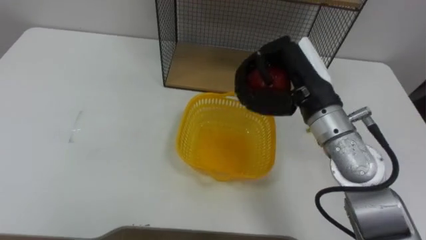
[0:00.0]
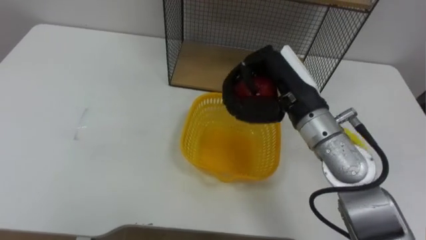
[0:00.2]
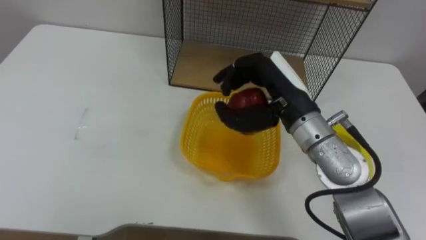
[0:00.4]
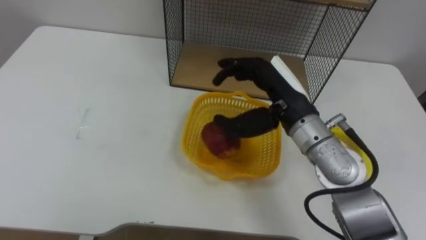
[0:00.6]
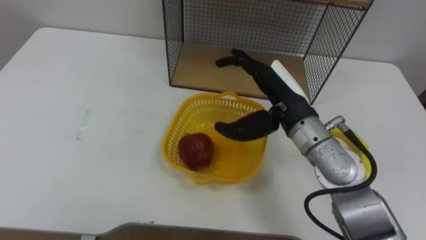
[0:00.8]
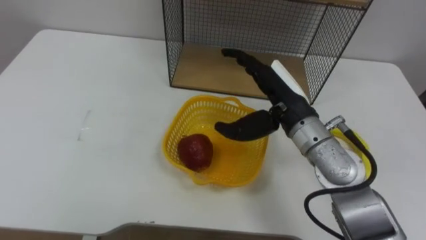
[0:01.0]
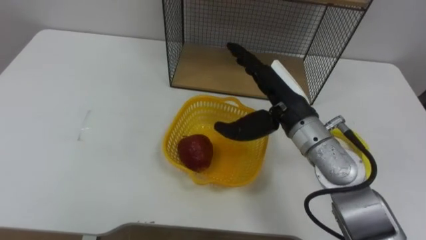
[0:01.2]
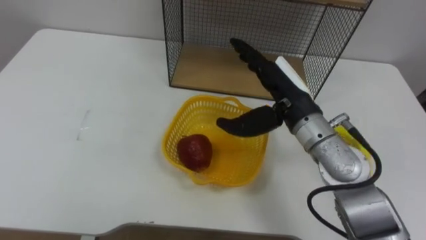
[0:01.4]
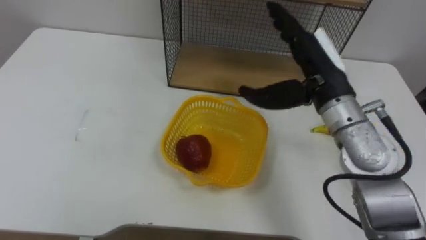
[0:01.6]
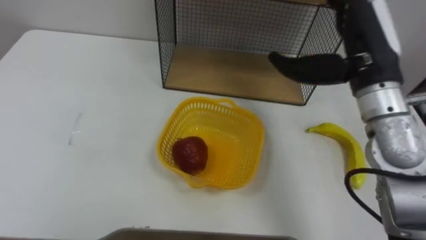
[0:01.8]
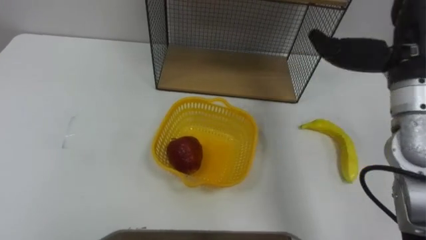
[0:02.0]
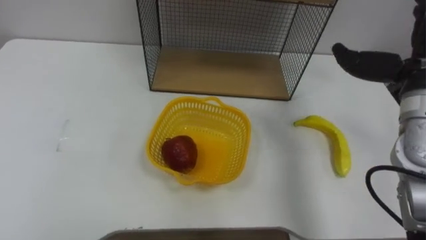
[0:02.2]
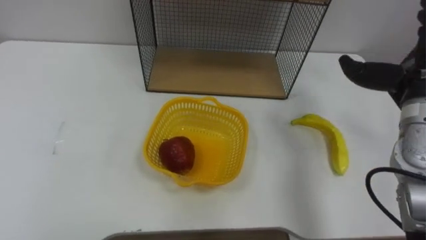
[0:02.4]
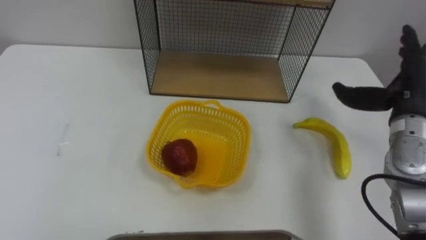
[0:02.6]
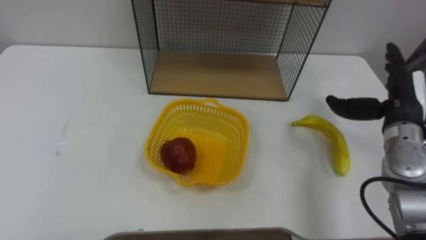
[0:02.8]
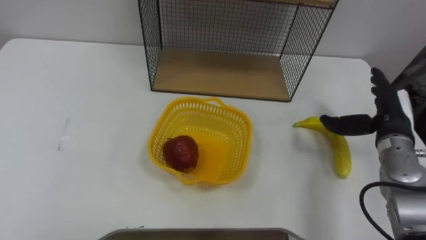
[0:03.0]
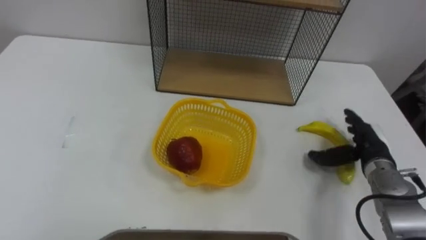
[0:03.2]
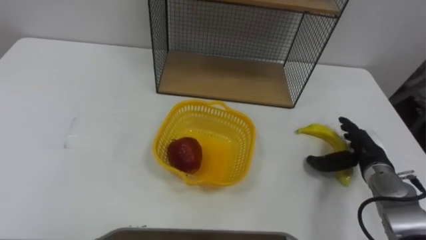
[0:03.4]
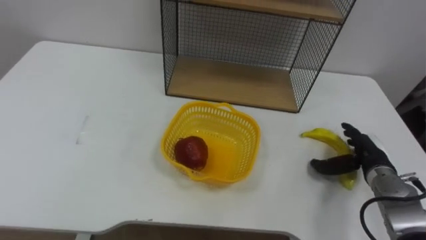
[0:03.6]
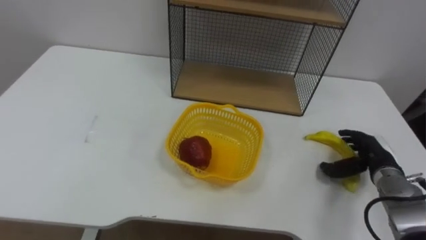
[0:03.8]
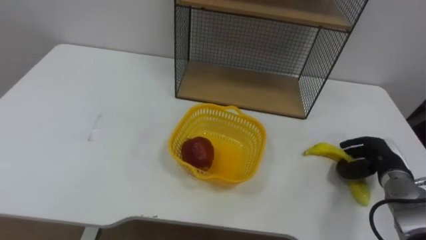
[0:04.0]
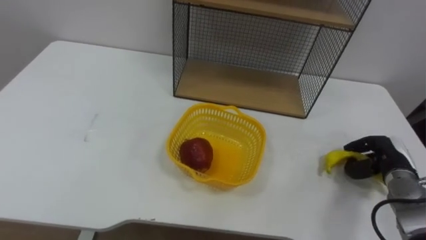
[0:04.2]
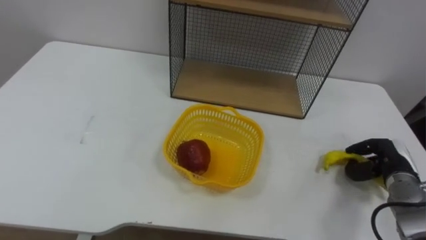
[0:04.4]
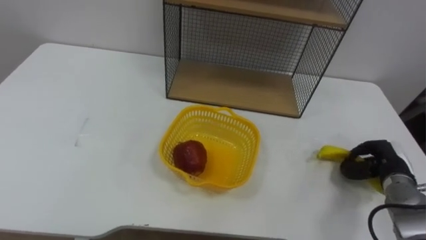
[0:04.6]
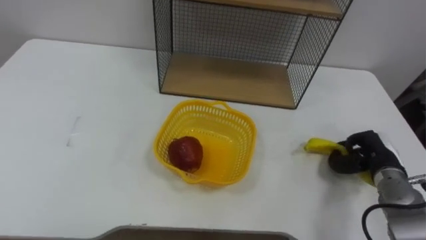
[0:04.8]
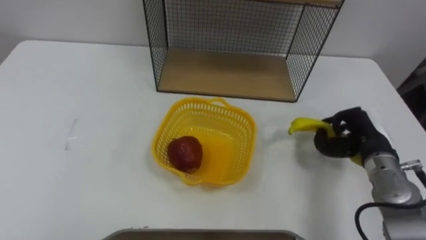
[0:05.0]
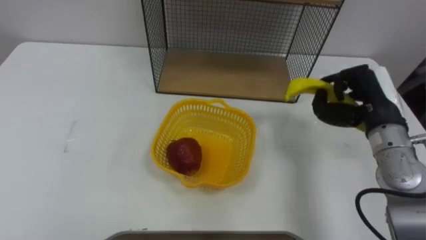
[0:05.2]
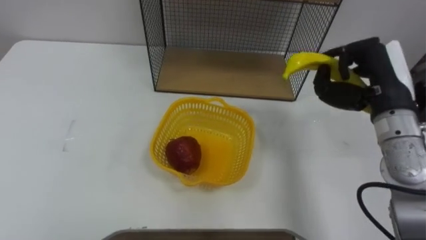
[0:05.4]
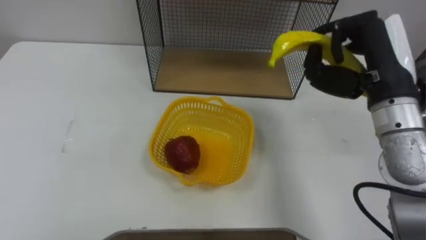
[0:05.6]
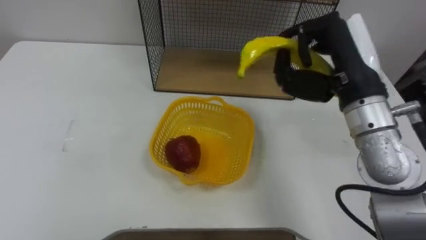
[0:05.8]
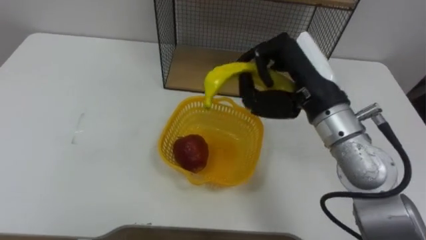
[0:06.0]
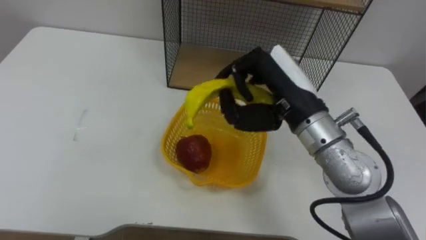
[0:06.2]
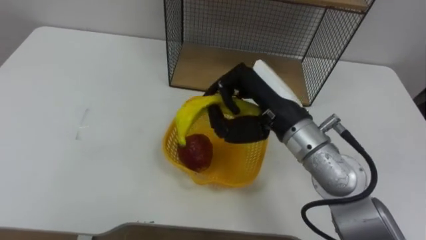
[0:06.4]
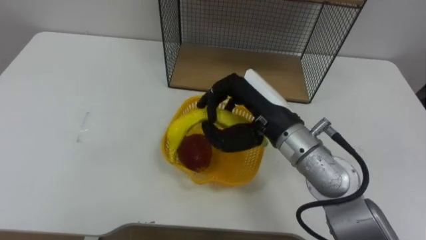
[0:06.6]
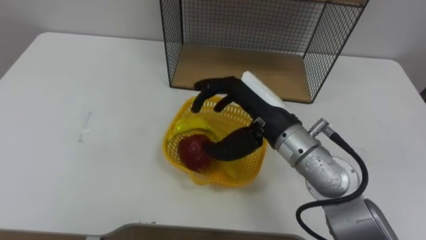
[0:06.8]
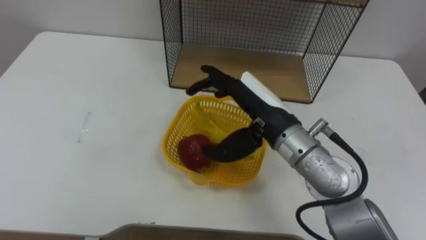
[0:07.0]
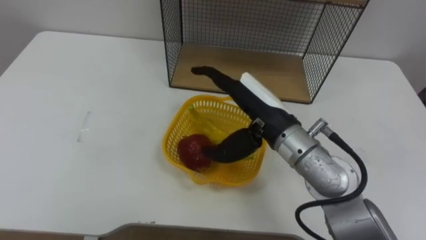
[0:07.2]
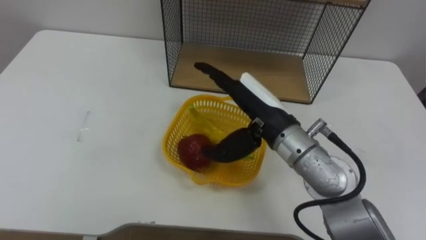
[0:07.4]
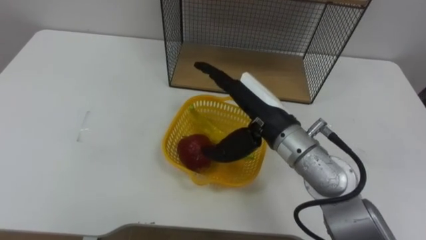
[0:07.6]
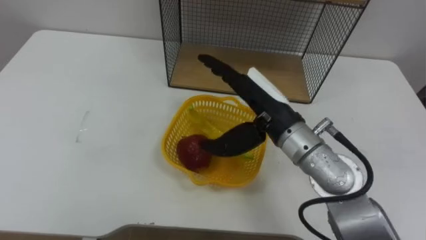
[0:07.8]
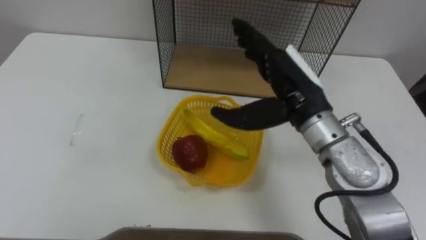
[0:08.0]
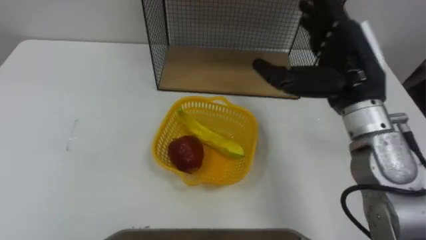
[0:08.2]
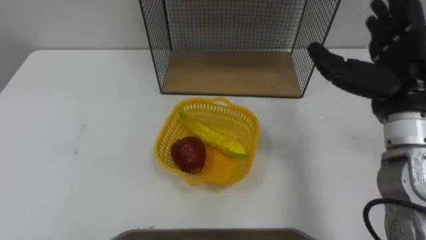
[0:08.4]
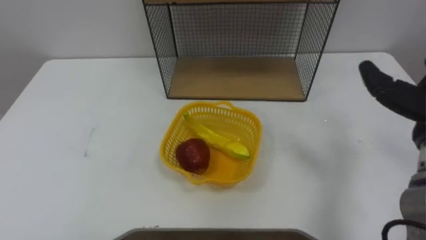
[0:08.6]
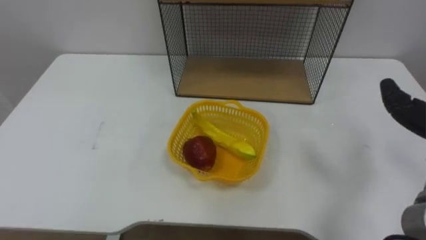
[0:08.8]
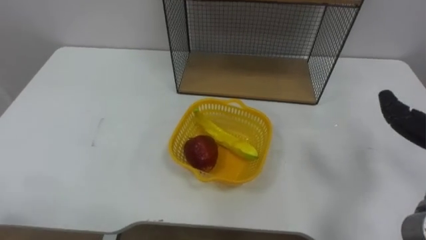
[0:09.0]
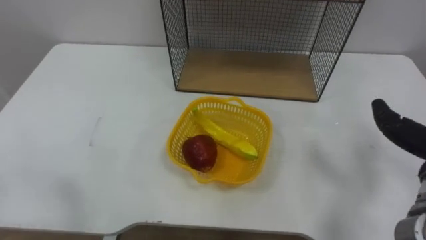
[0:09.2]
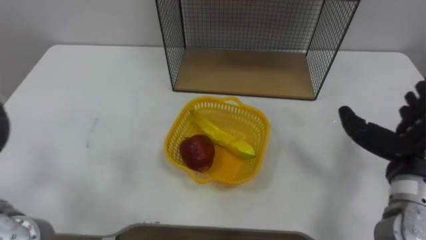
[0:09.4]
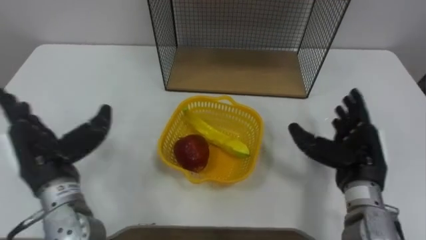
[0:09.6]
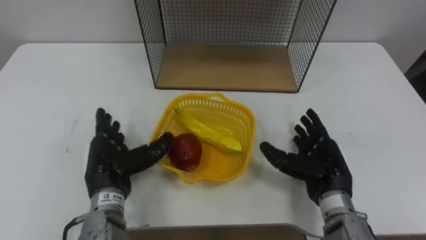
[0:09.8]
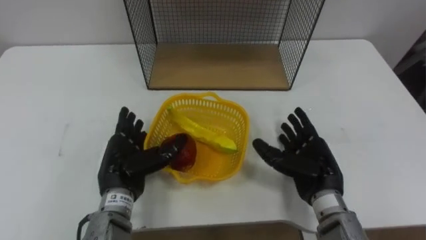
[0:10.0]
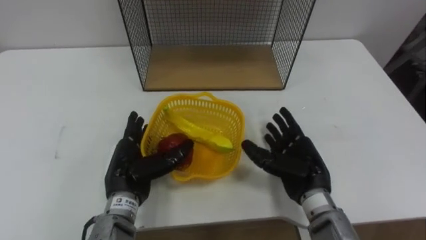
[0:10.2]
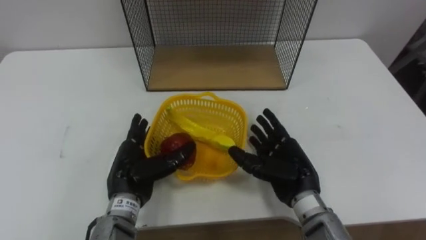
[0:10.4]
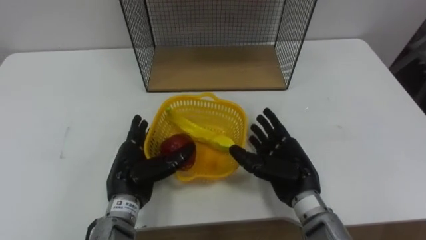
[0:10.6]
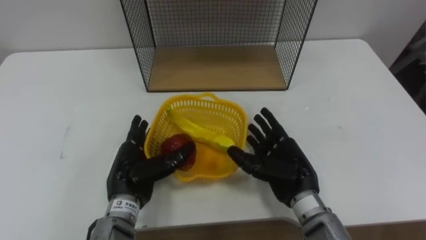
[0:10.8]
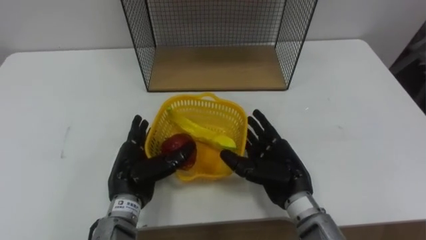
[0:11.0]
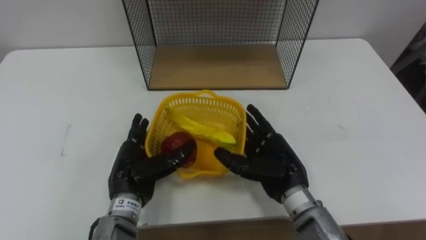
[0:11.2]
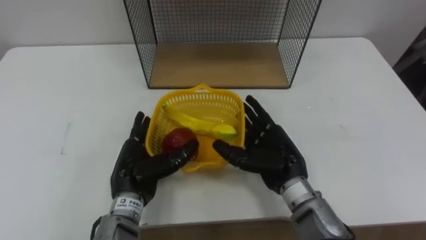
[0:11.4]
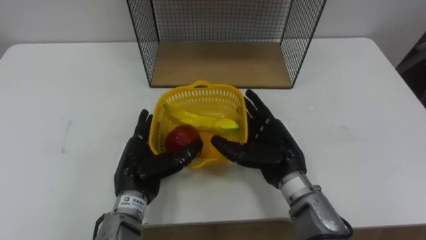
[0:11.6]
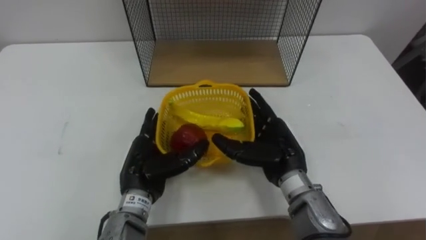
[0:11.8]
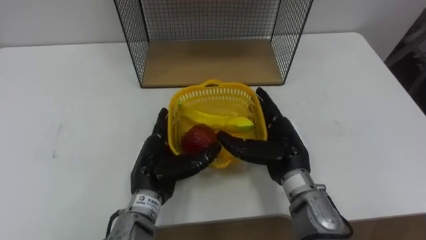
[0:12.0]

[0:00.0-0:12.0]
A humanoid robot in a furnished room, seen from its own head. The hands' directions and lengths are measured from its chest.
Task of the whole recording: Put the fruit on the table into the basket, then place the basket on the shelf.
0:00.0 to 0:01.6: The right hand opens up.
0:03.0 to 0:04.4: The right hand is displaced downward by roughly 10 cm, and closes.
0:04.4 to 0:06.0: The right hand goes some 30 cm upward and to the left.
0:06.0 to 0:07.6: The right hand is displaced to the left by about 5 cm, and opens.

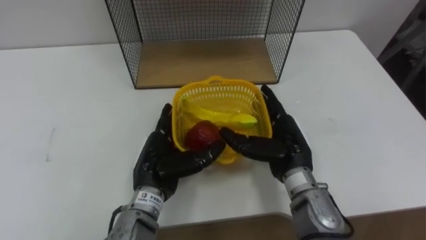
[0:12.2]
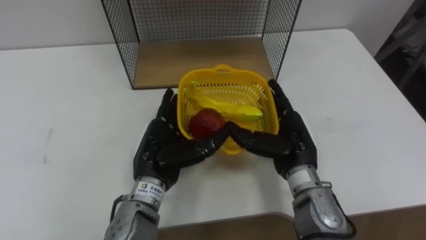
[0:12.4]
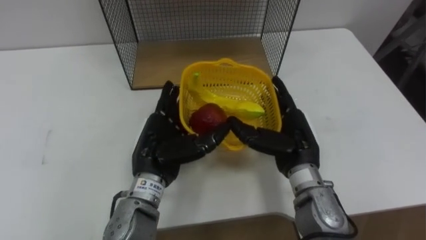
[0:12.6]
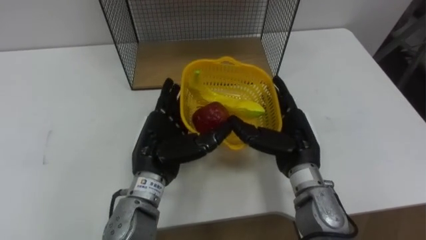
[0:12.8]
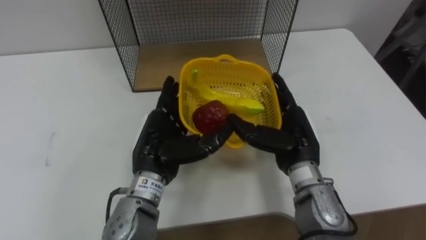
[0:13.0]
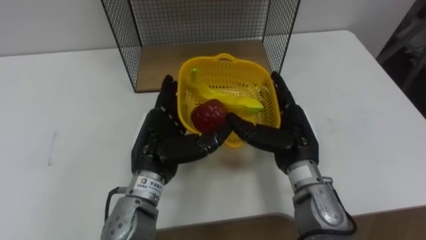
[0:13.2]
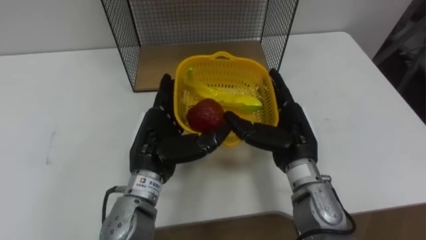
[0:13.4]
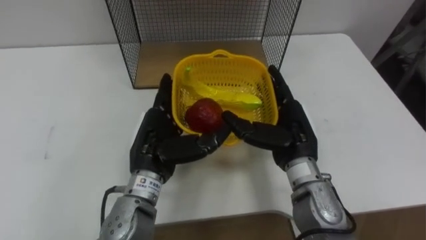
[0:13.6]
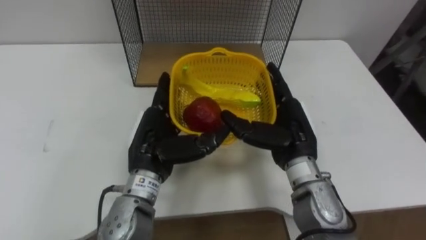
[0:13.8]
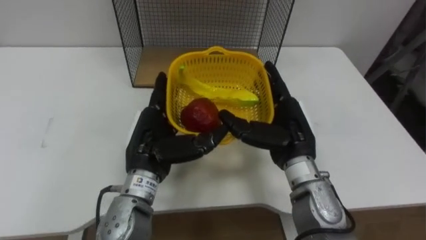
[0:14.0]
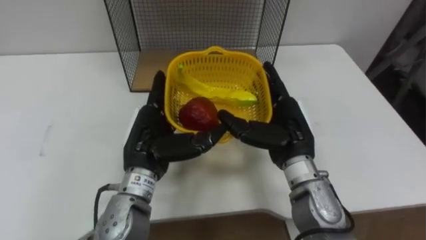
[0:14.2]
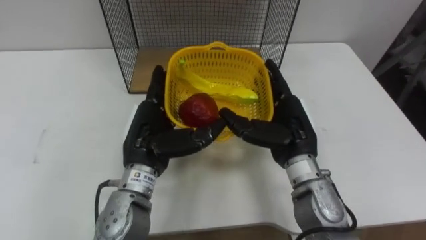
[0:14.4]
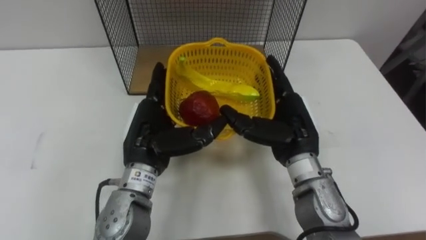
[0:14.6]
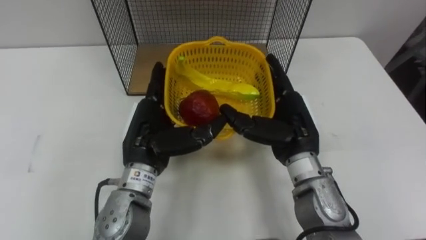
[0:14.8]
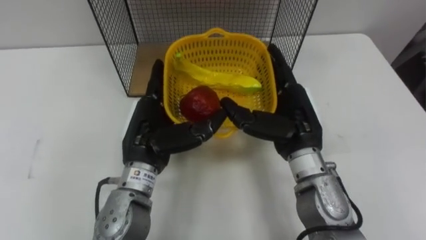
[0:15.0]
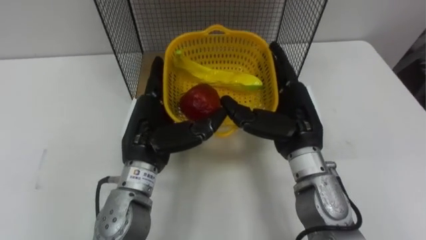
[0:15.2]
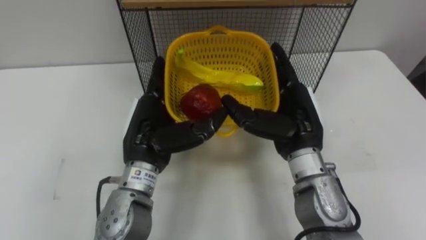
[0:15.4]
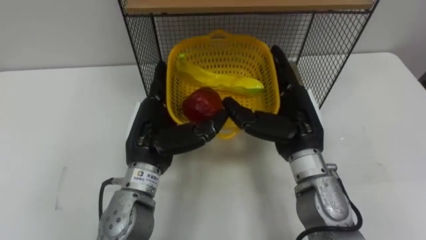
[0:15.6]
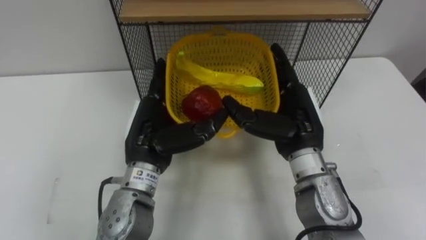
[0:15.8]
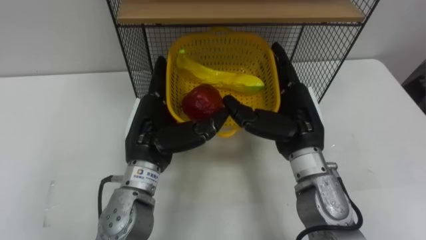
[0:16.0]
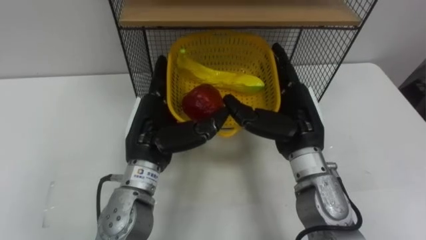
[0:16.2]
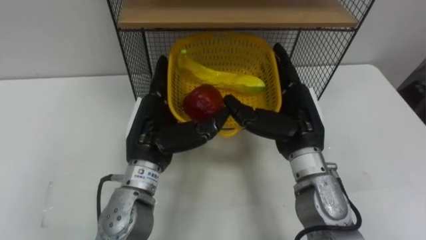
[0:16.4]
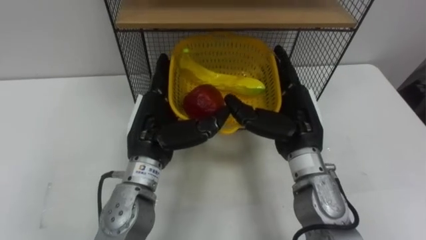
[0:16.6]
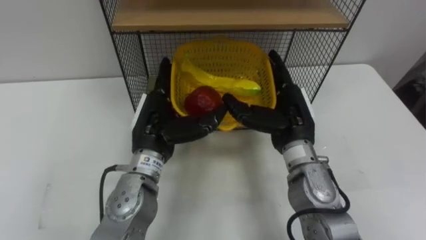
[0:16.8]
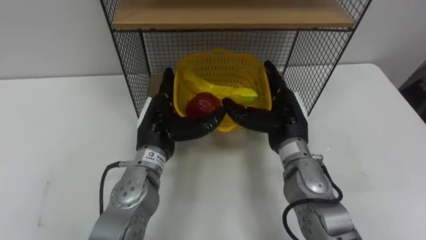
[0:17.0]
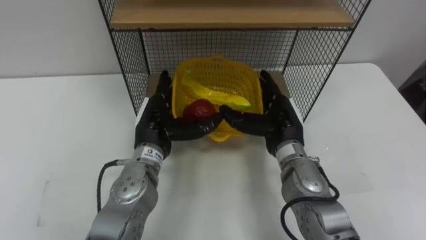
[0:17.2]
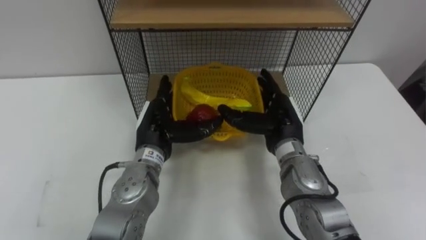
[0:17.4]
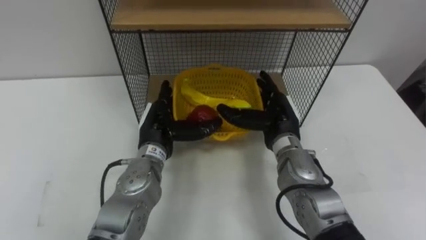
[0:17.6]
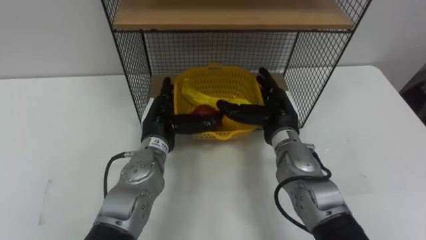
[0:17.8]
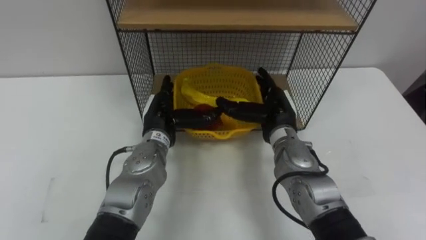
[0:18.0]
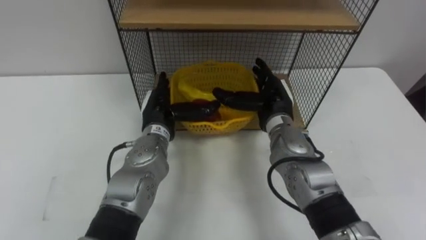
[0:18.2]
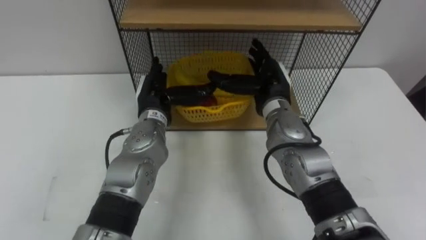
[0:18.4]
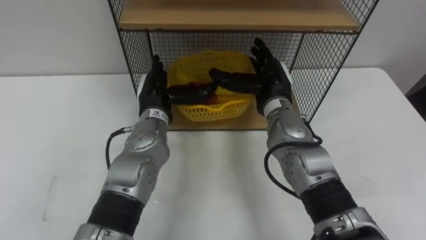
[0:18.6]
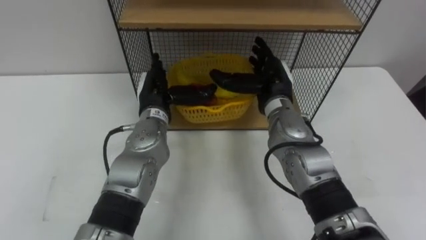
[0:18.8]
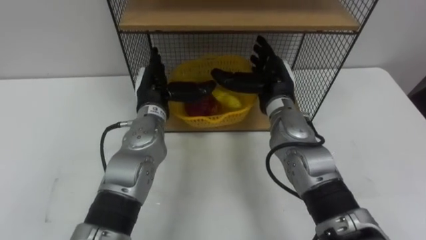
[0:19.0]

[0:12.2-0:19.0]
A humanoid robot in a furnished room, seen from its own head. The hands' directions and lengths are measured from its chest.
Task of the whole recording: Put the fruit on the table into the basket, then place the basket on the shelf.
0:16.2 to 0:17.6: The two hands go roughly 10 cm downward and forward.
0:17.6 to 0:19.0: The left hand travels forward by about 5 cm. The right hand ends up roughly 5 cm from where it was.
